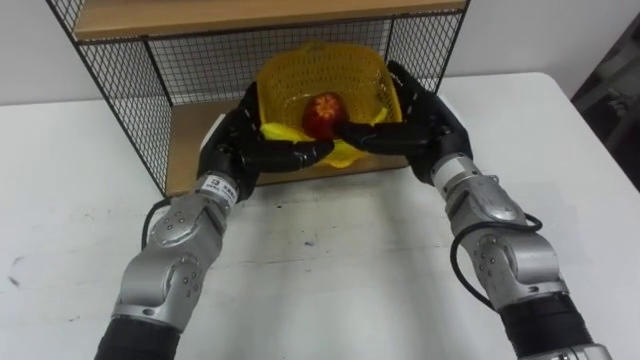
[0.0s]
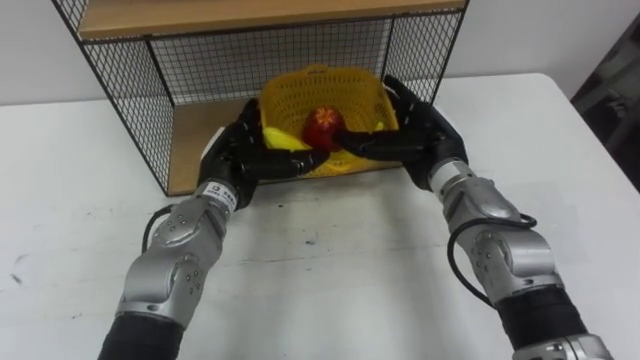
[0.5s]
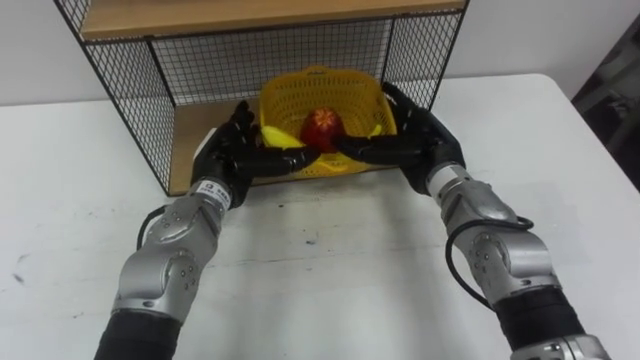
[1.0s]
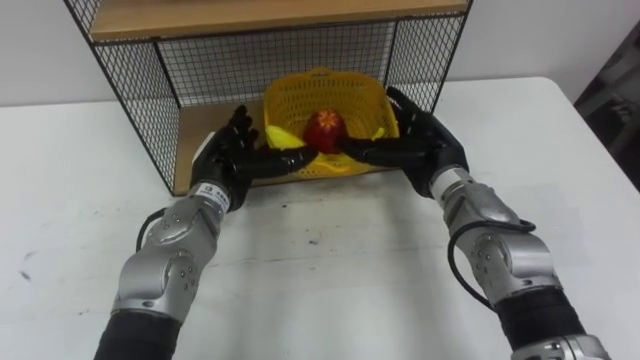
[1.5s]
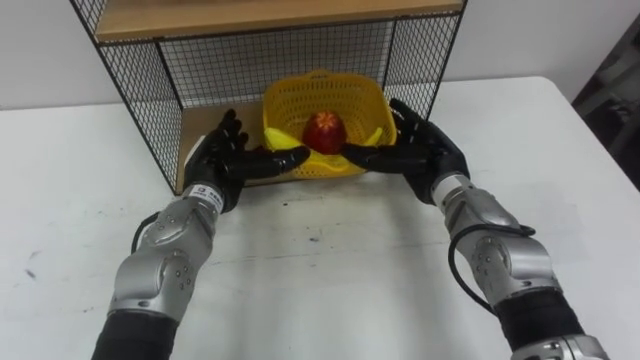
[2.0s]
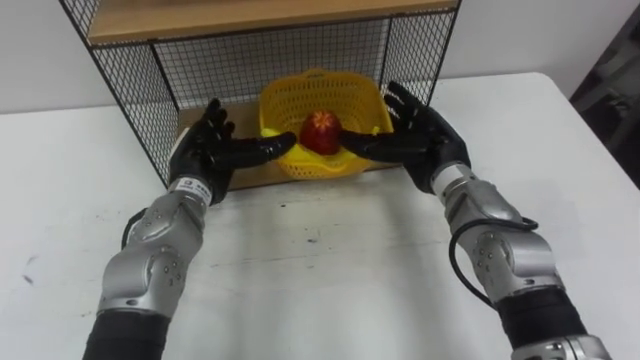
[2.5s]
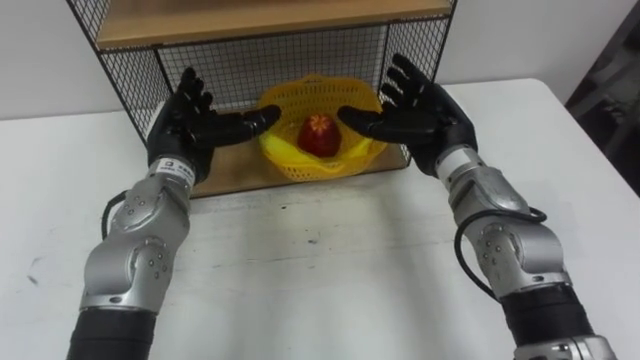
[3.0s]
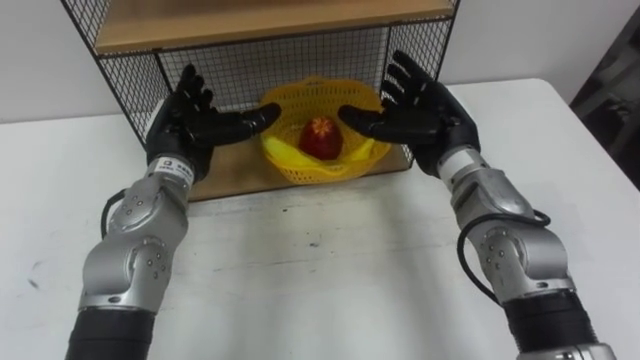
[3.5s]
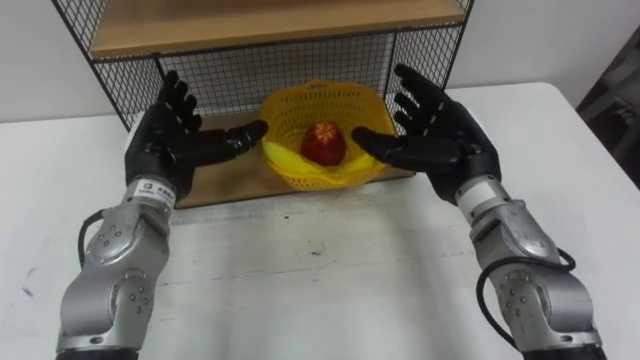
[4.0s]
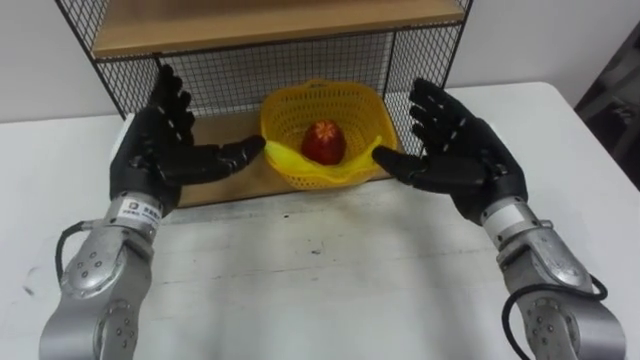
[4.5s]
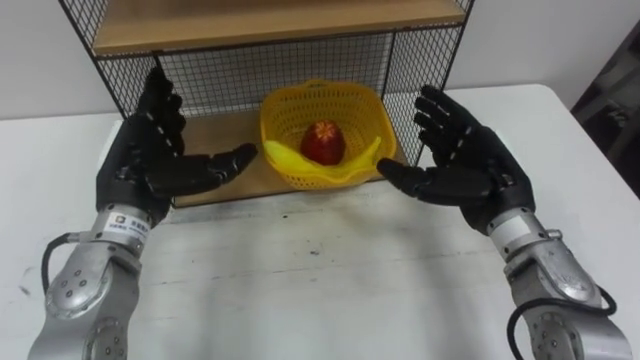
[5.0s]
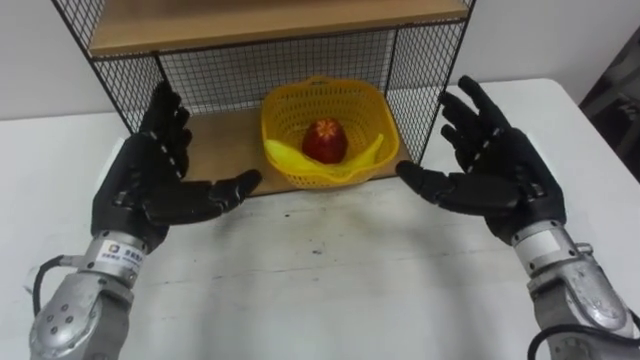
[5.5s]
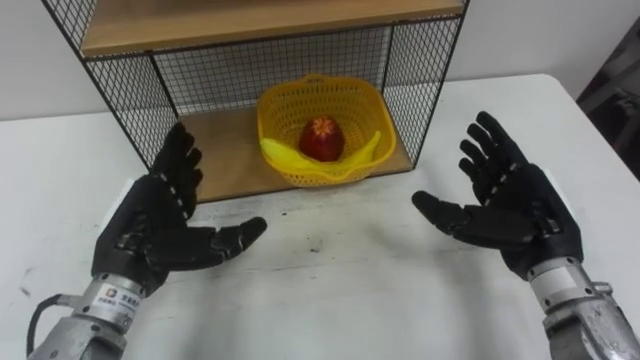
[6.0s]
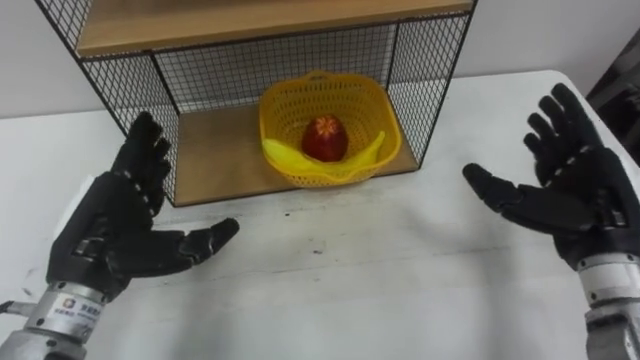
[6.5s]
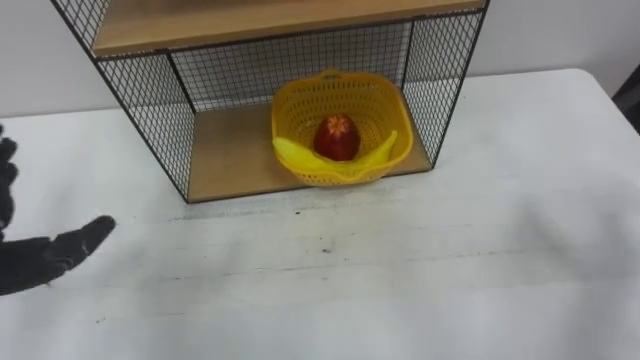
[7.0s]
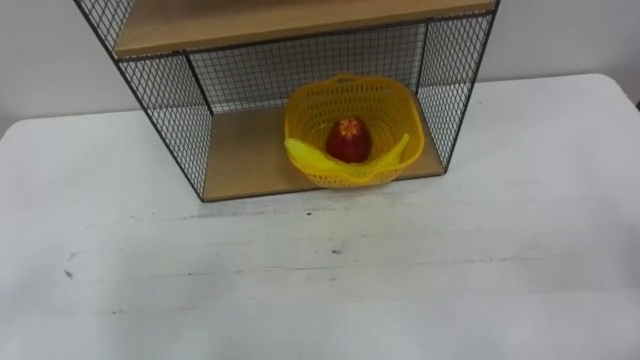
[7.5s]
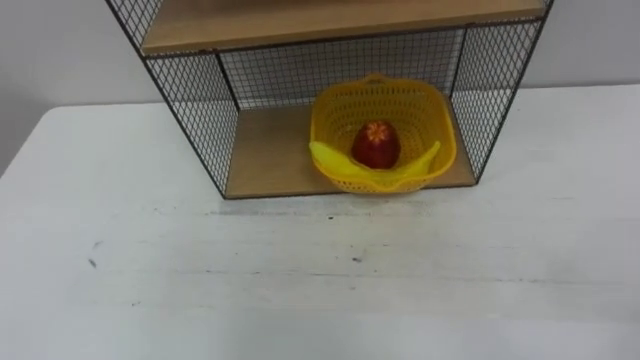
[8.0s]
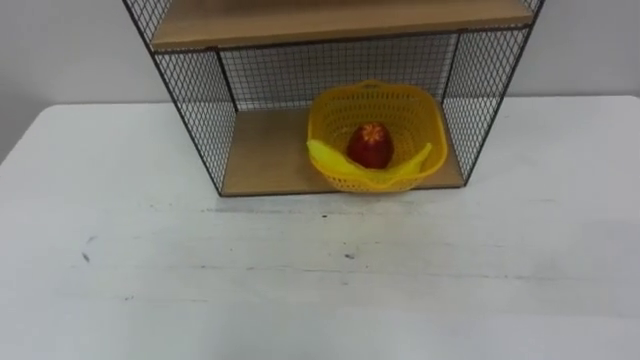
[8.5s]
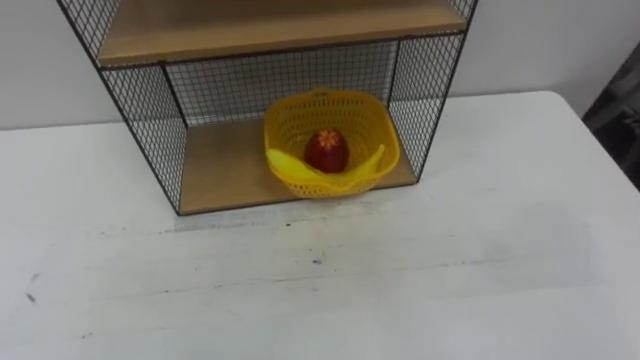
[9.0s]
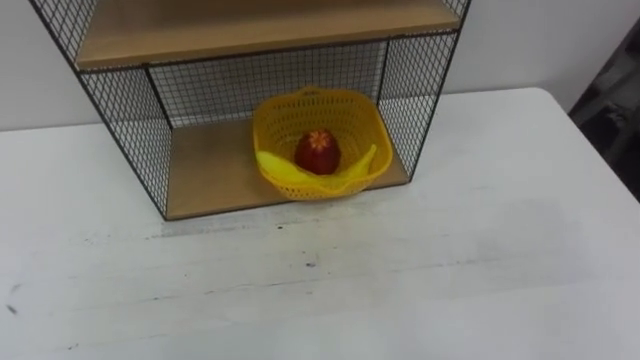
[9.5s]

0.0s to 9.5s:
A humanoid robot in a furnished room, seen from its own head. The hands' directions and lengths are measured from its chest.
Task of the whole recording: Put the fruit on the table into the basket, then place the basket on the shelf.
0.0s to 2.0s: There are only small adjustments of the hands.
2.0s to 4.0s: The right hand moves upward, some 5 cm, while the left hand is displaced to the left and upward by some 10 cm.
4.0s to 5.5s: The right hand travels backward and to the right by roughly 5 cm. The left hand moves backward, about 5 cm.

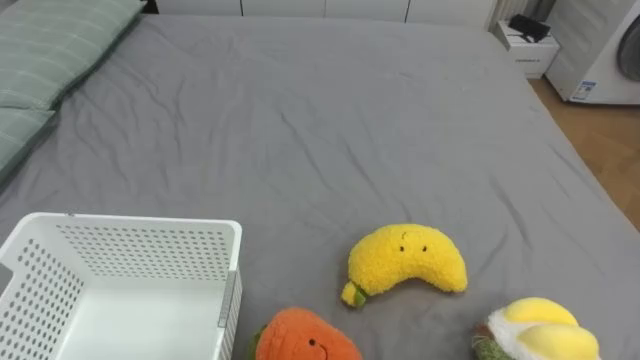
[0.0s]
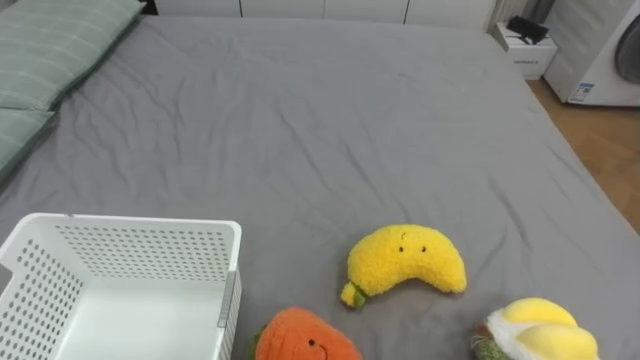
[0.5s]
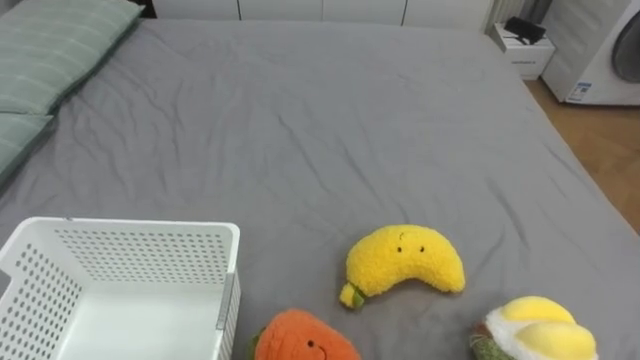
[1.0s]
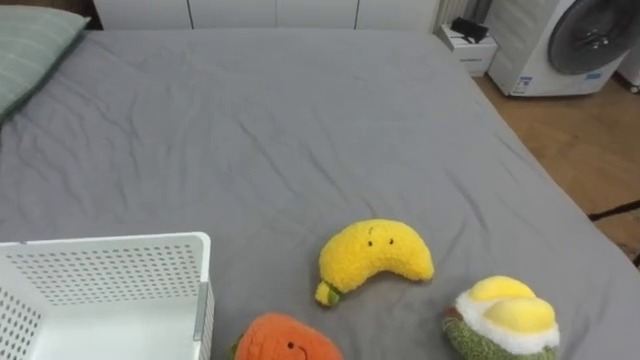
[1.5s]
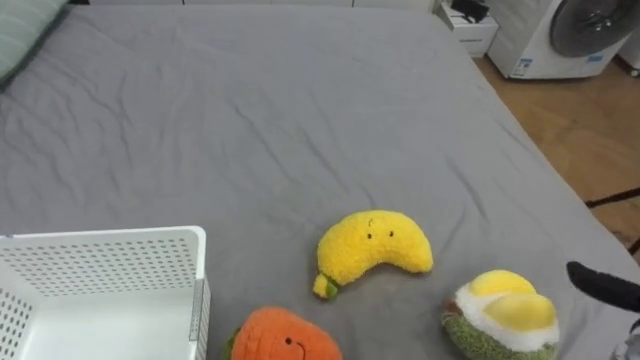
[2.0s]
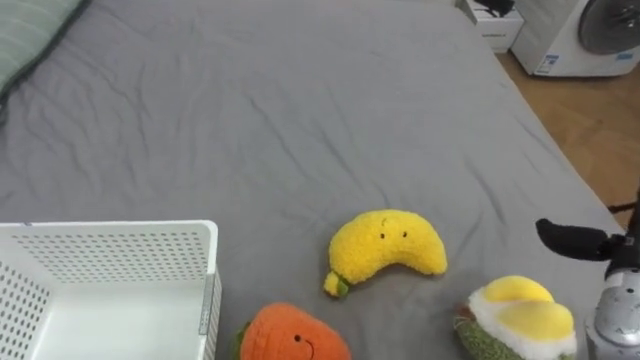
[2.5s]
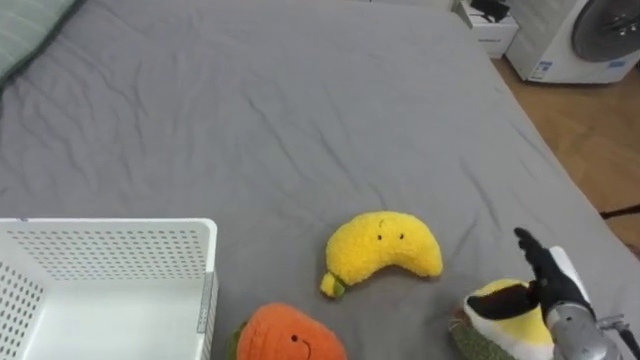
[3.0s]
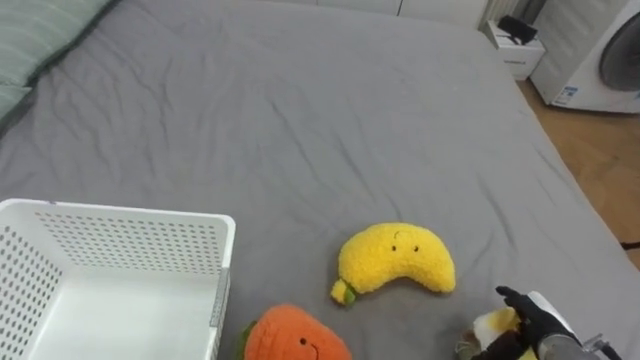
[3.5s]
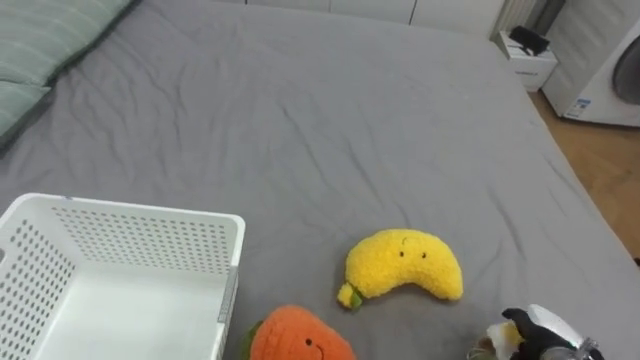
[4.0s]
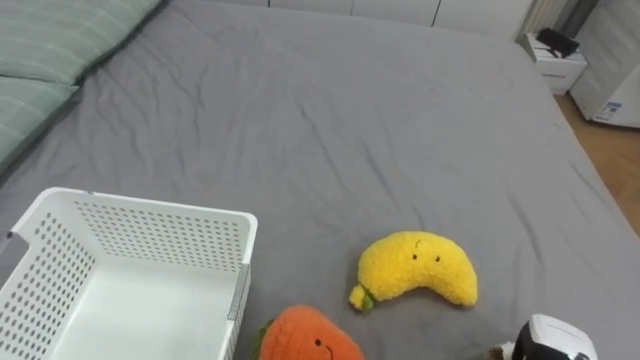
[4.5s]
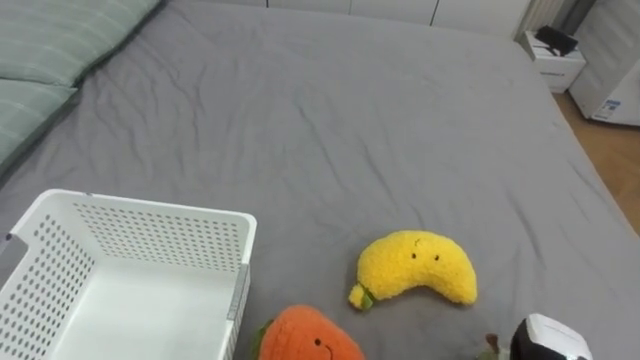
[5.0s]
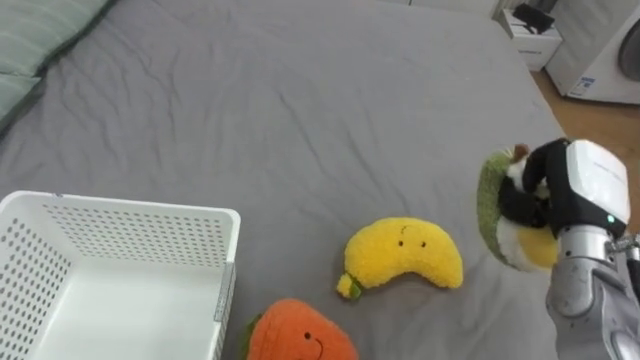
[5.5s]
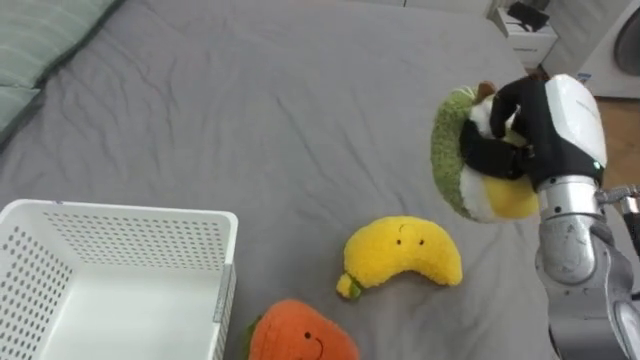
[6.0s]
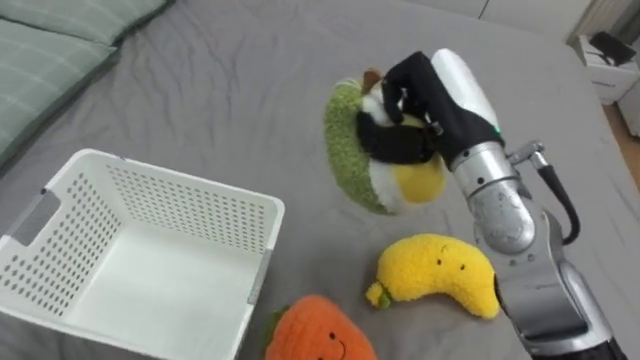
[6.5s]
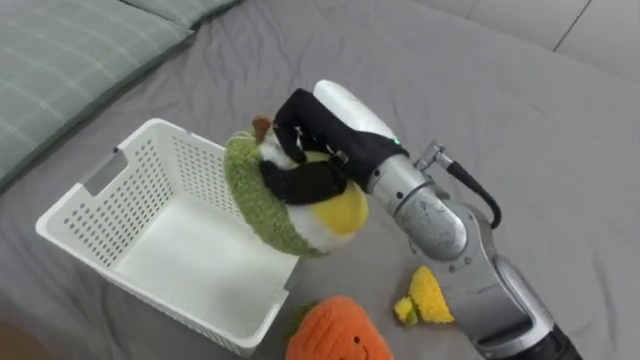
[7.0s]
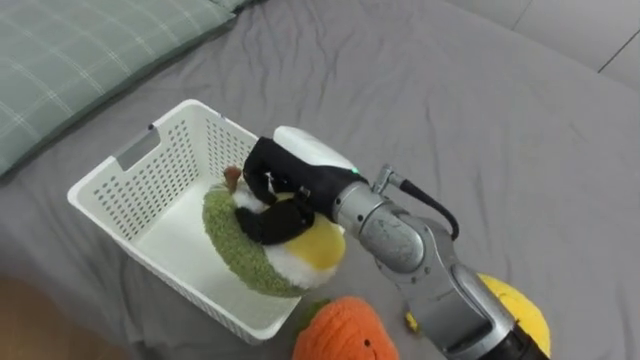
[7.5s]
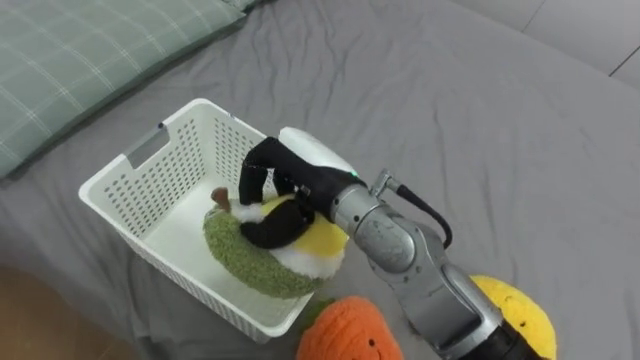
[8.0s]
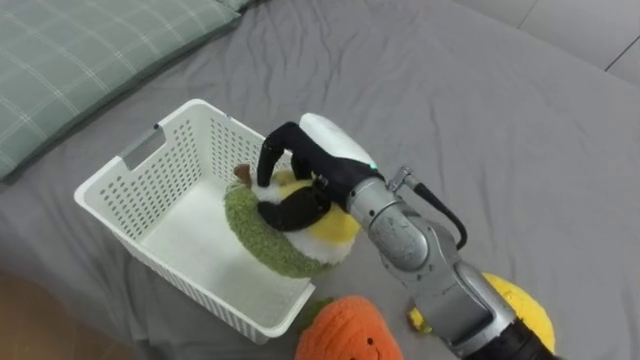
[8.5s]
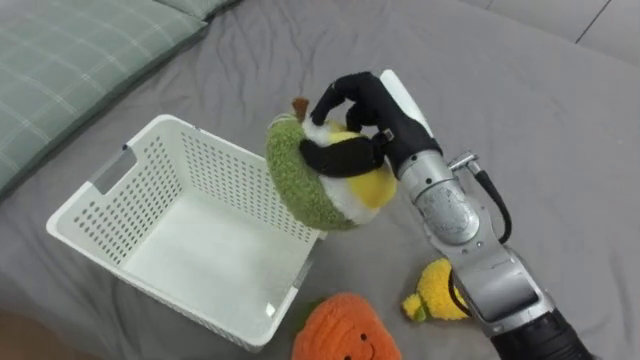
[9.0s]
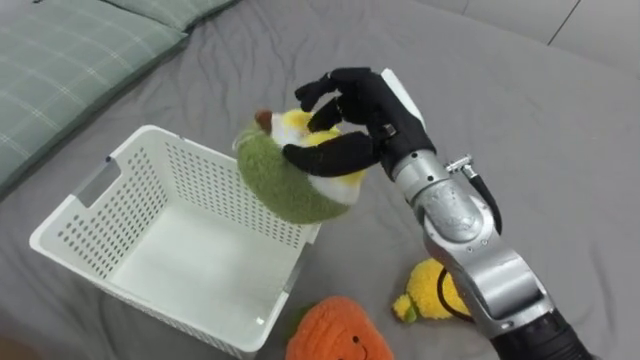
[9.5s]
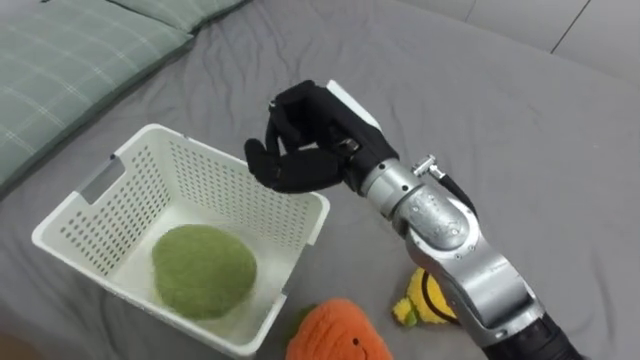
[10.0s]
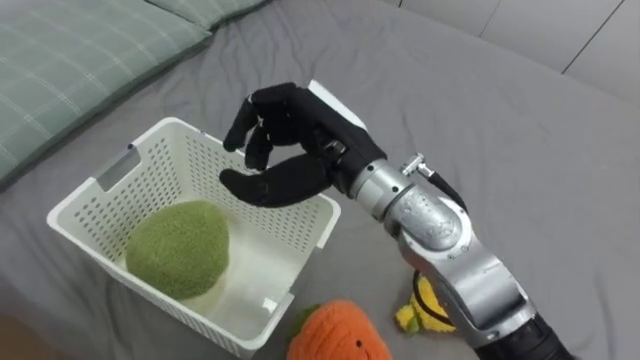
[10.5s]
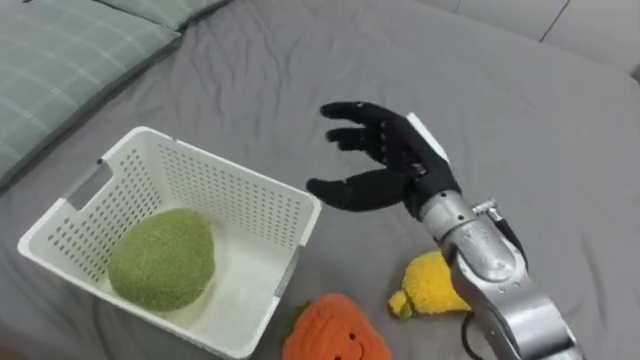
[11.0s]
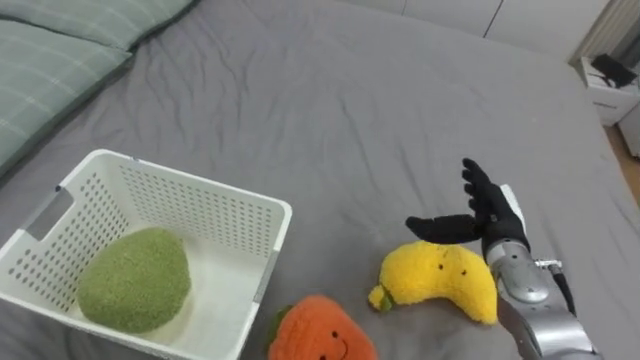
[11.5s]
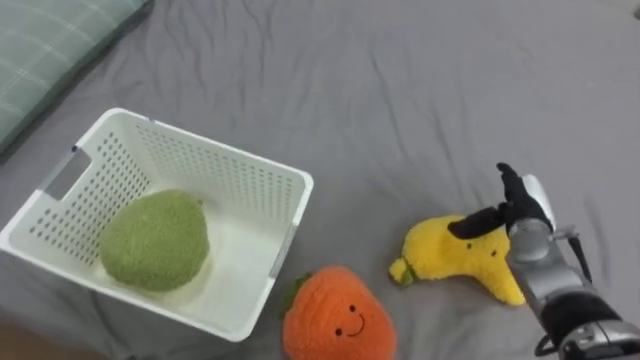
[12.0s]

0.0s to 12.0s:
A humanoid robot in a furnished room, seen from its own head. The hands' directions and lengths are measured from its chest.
Task of the whole recording: Put the toys on the bed into the basket on the left.
4.0s to 6.0s: The right hand travels upward and forward by roughly 30 cm, and closes its fingers.
6.0s to 8.0s: The right hand travels to the left by some 25 cm.
10.0s to 12.0s: The right hand goes about 30 cm to the right and downward, and opens.
